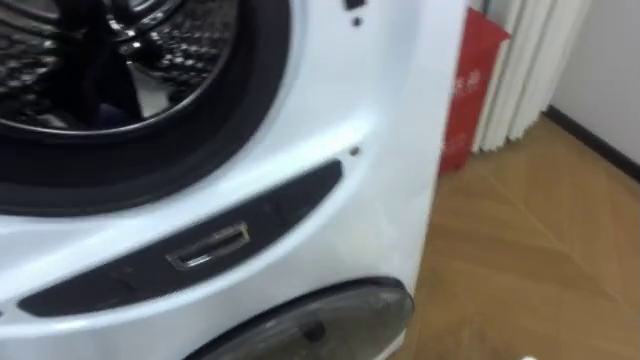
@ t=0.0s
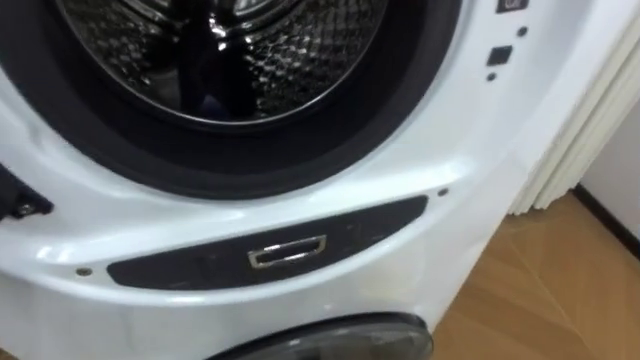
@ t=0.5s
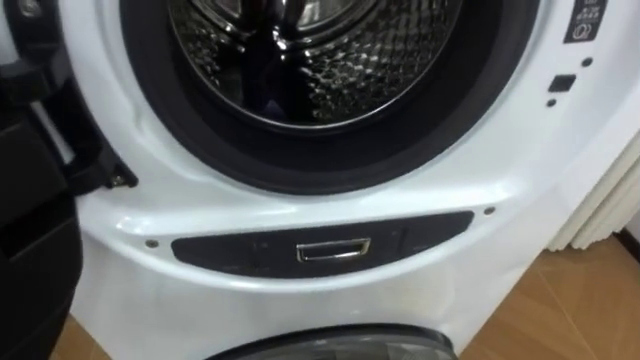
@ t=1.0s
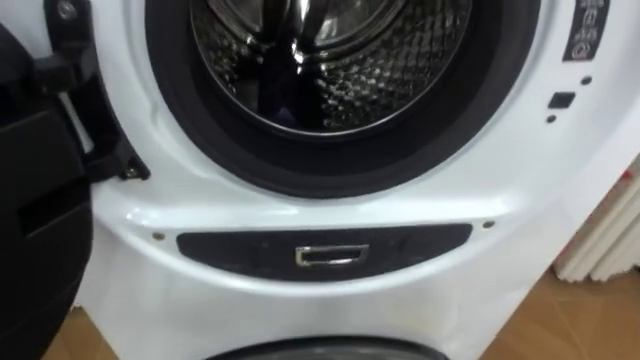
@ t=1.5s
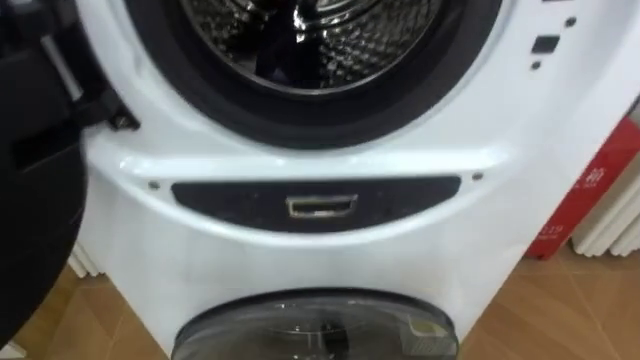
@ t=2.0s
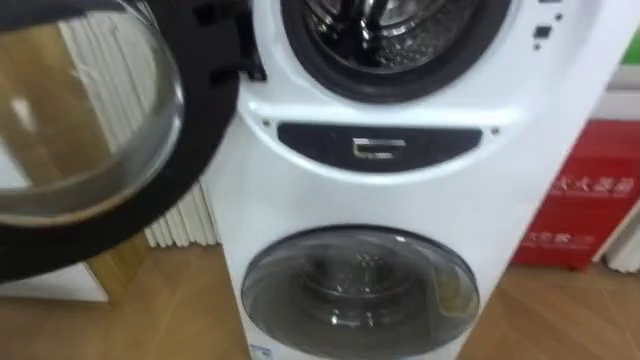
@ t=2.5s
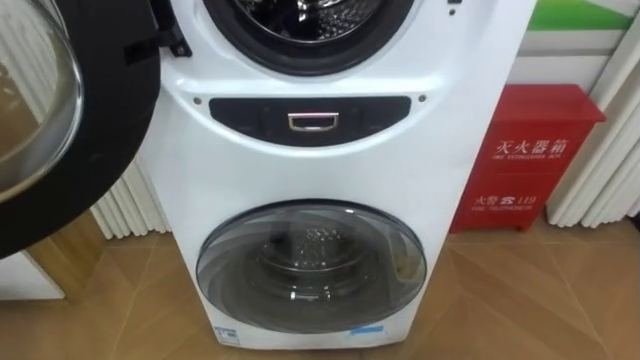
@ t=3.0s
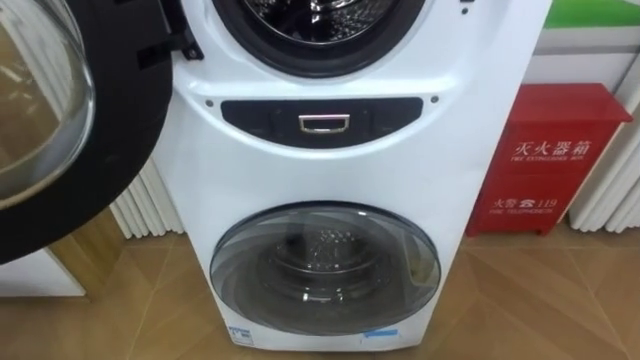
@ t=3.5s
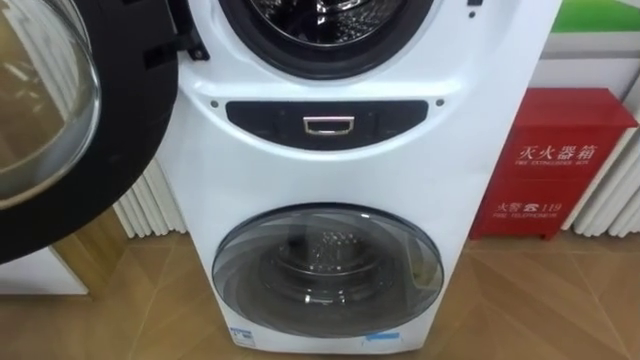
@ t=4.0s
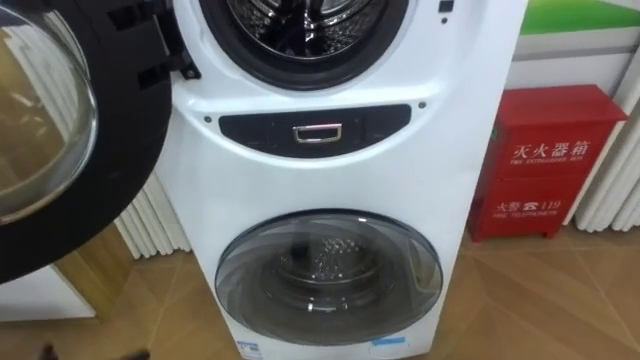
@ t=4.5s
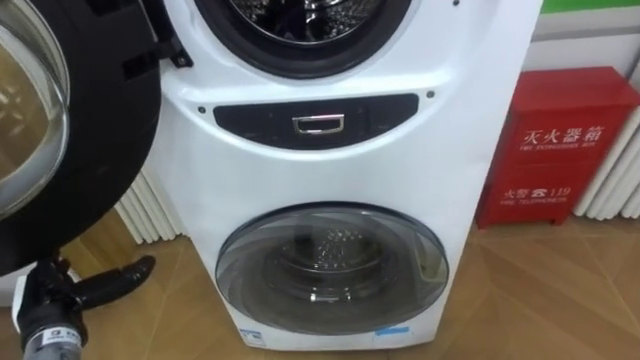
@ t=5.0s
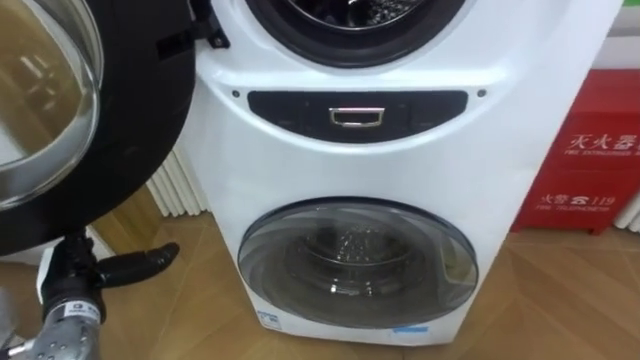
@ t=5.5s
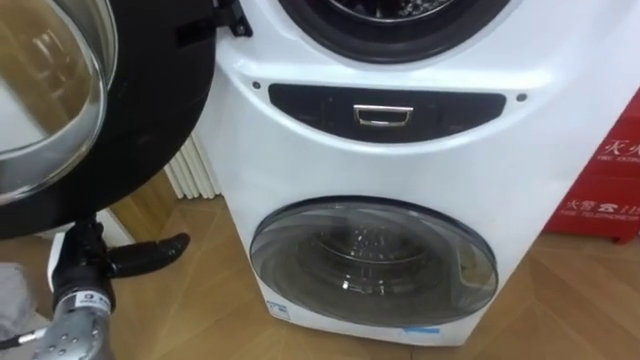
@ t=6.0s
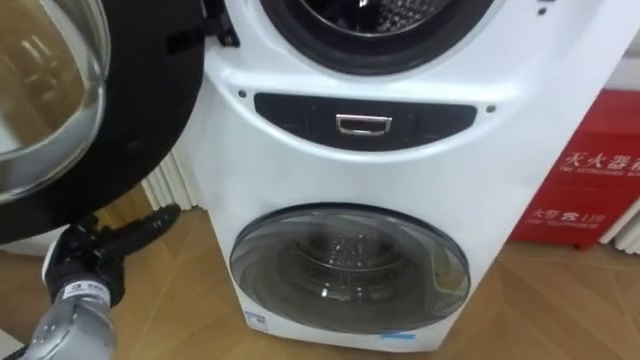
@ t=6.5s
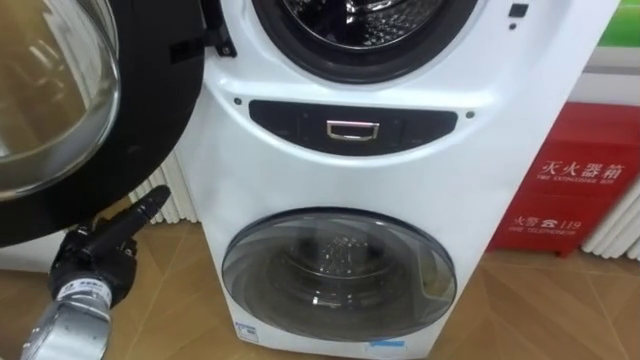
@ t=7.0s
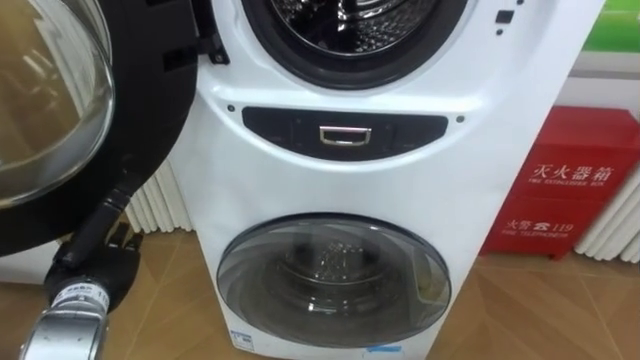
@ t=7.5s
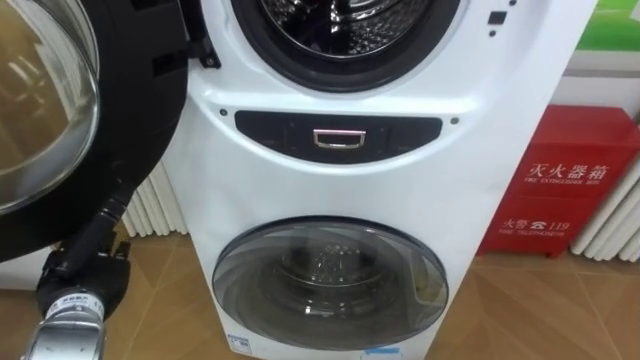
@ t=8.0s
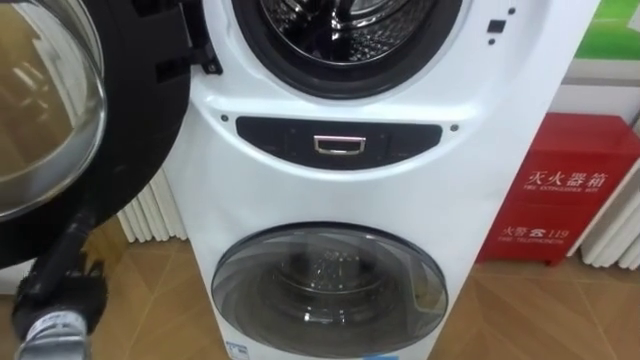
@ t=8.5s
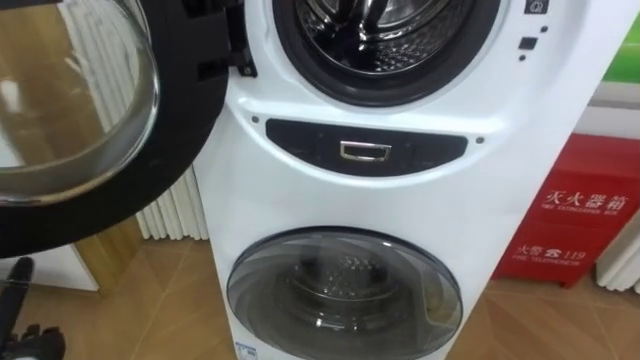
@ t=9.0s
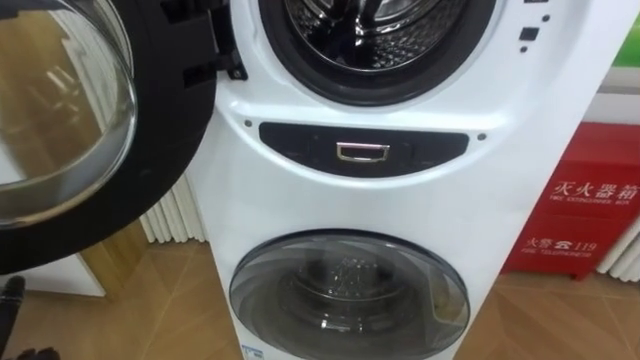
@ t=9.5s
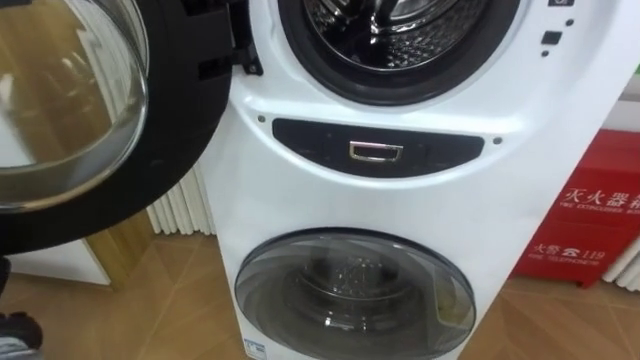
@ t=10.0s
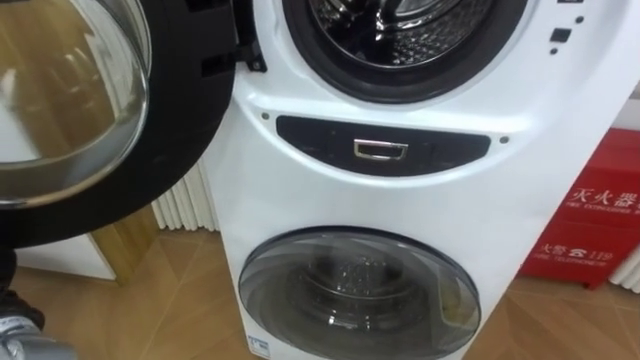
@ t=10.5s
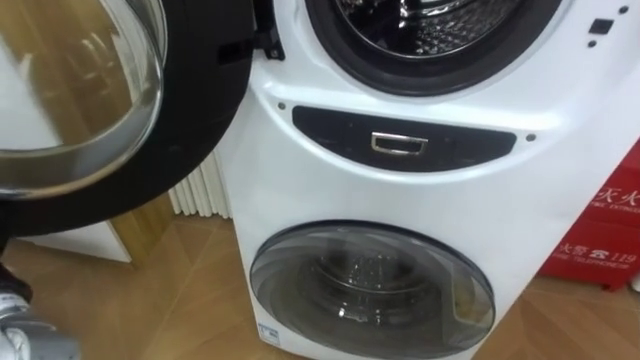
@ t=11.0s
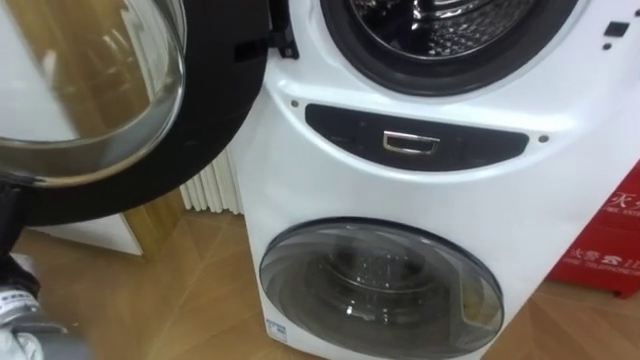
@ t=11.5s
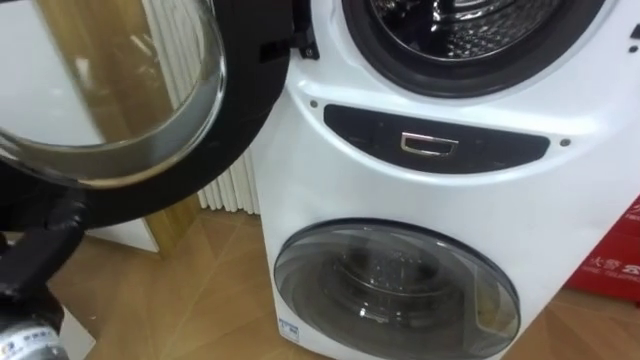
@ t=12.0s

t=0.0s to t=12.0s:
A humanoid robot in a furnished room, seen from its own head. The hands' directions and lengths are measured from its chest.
Task of the whole recording: Open the washing machine door, take out the yellow clothes, place them in the box on the right, and close the washing machine door.
t=0.0s to t=2.0s: The robot turns to its left by roughly 15 degrees.

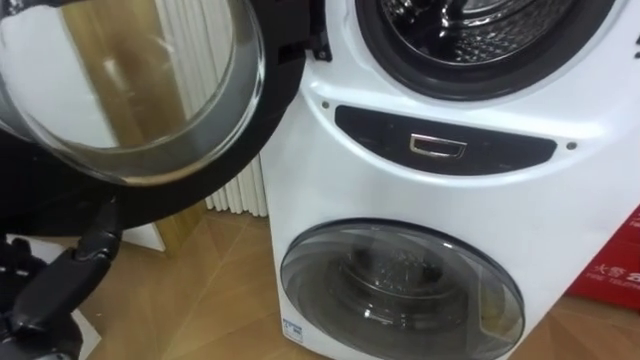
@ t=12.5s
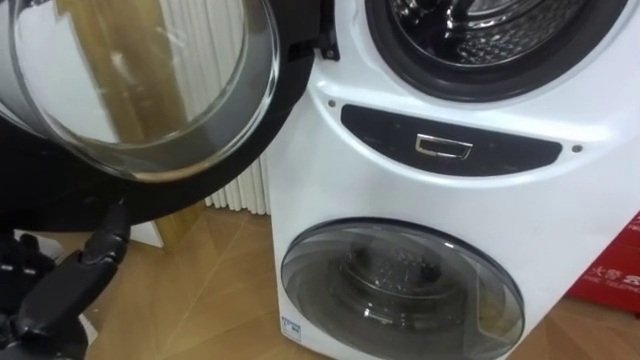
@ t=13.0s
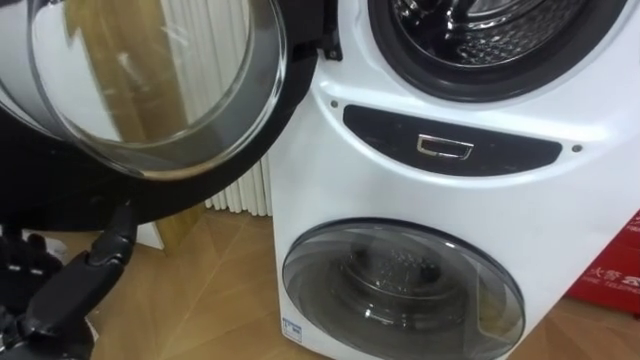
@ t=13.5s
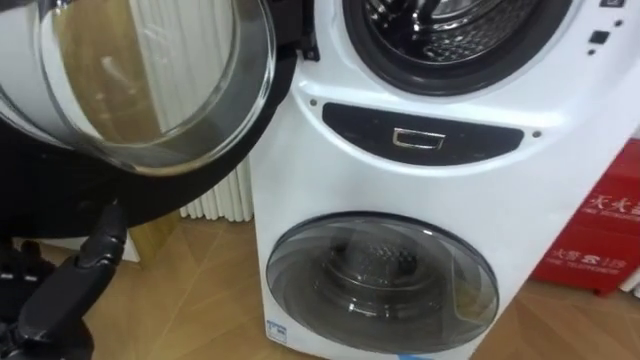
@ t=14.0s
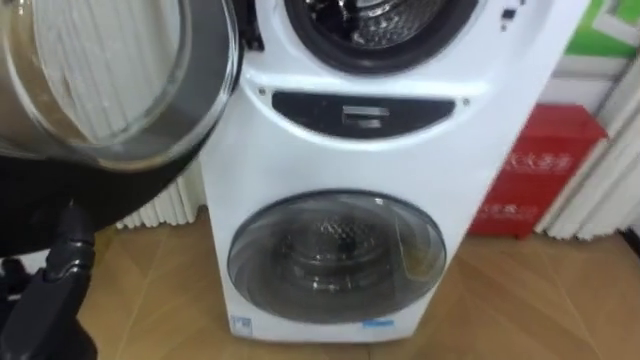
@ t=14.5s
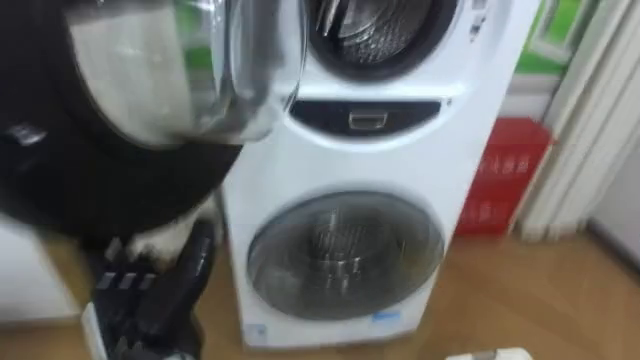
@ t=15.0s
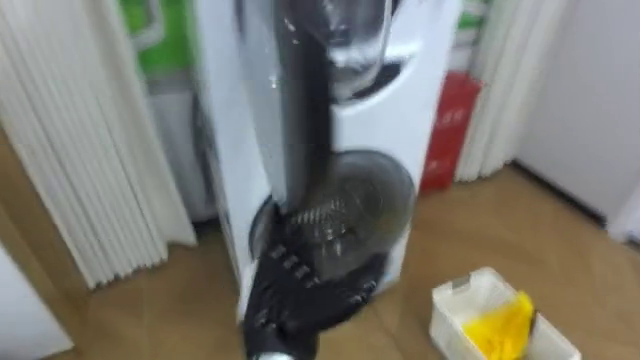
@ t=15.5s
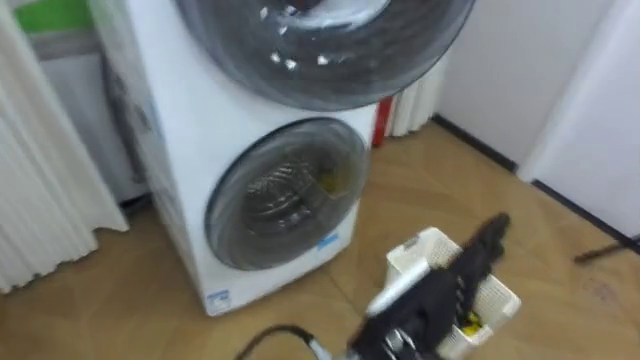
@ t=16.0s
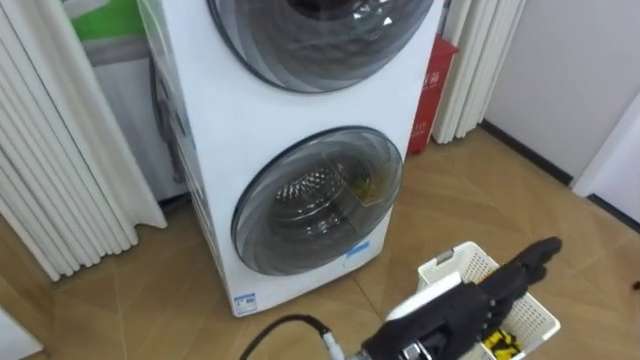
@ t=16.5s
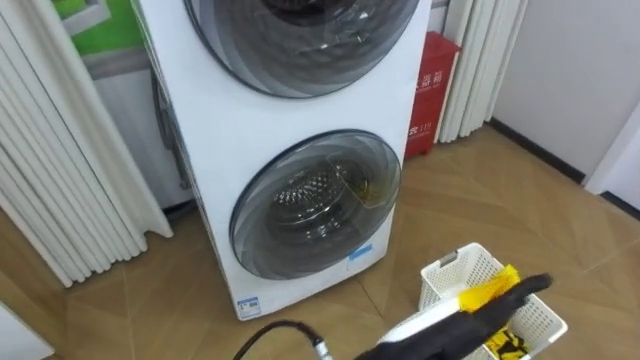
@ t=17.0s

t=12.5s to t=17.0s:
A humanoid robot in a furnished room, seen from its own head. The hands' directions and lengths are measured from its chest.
Task of the whole recording: Open the washing machine door, take out the yellow clothes, place them in the box on the right, and close the washing machine door.
t=14.5s to t=17.0s: The left hand heads to the right, covering about 35 cm.

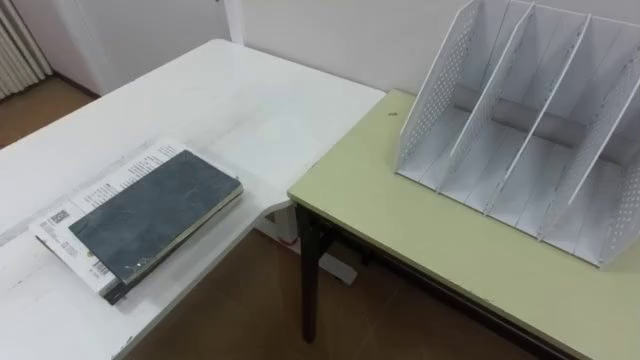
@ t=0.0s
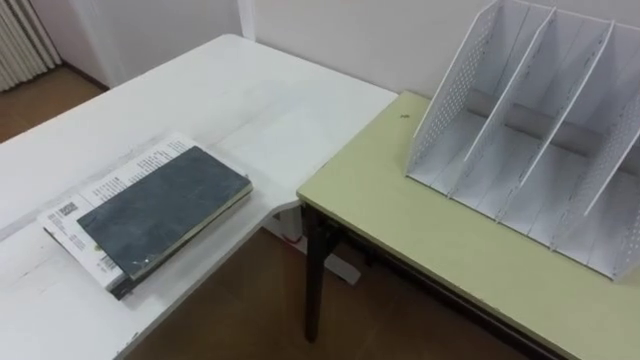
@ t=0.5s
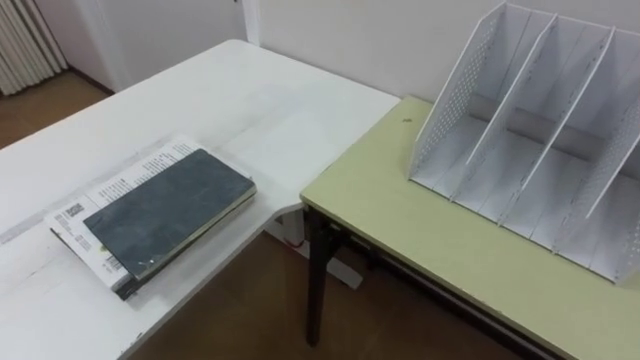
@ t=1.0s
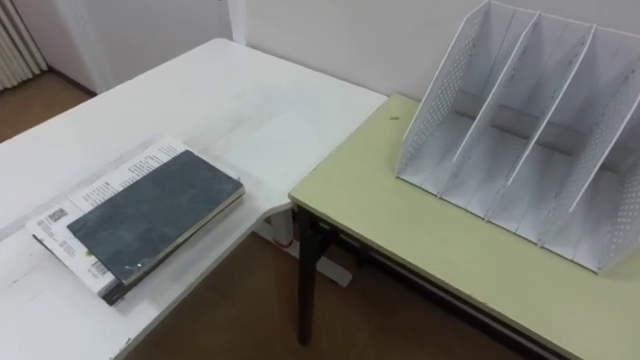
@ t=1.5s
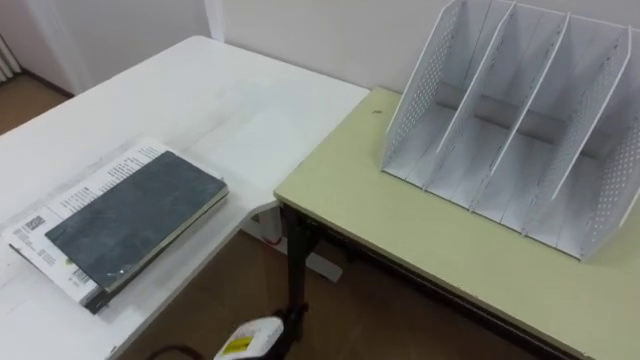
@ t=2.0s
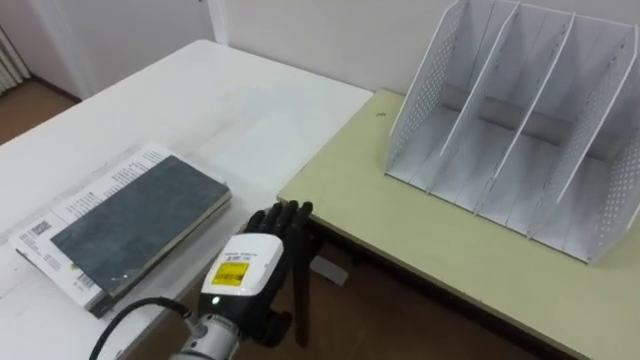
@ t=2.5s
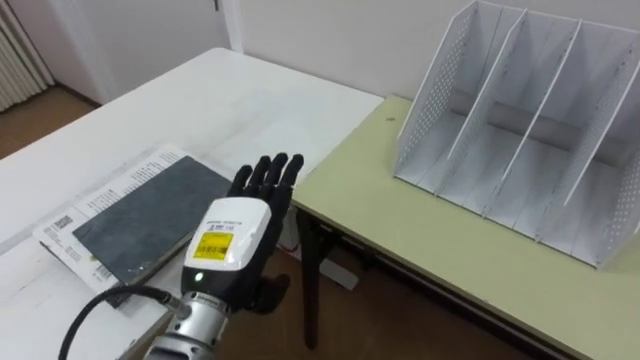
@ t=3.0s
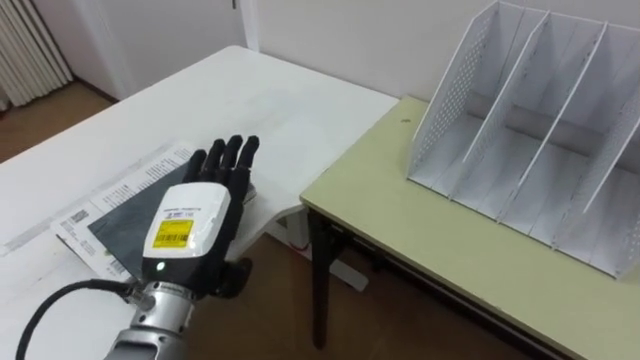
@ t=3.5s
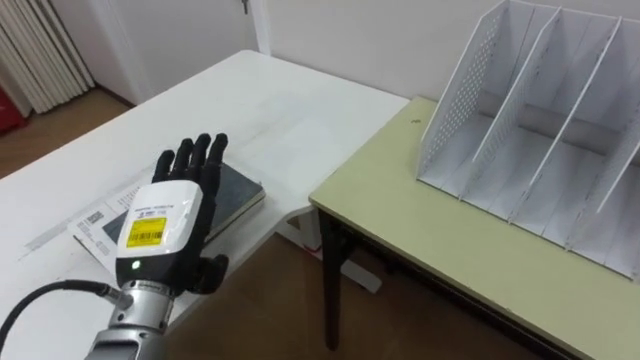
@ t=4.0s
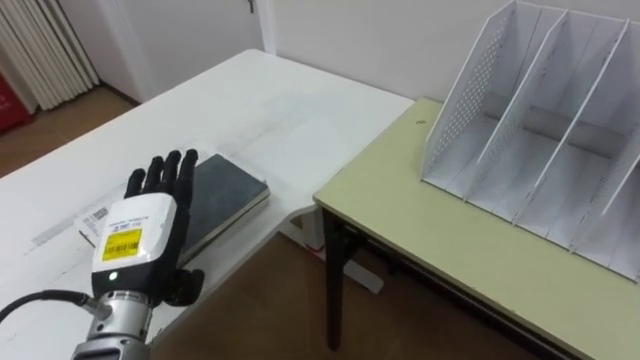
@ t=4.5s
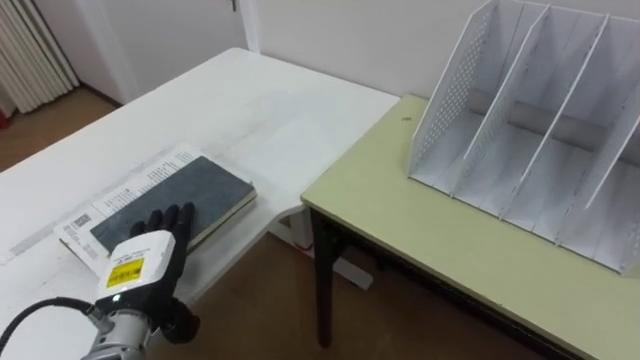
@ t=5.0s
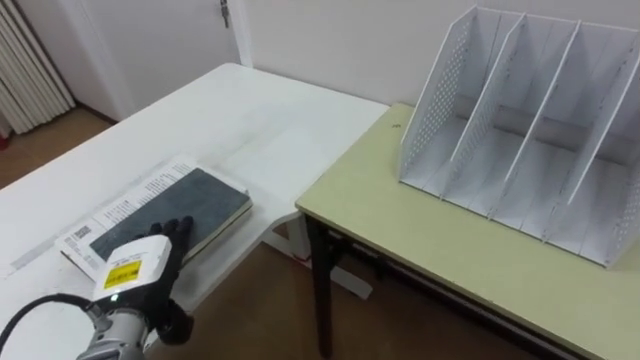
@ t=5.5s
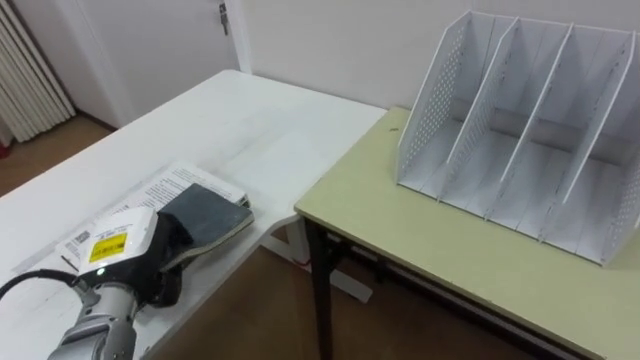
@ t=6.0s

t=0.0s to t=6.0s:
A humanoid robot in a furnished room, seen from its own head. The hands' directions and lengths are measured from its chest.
Task of the whole recording: Put the books on the table onto the bookshelf.
t=2.0s to t=4.0s: The left hand heads upward and to the left, covering some 20 cm.
t=4.0s to t=6.0s: The left hand moves downward and to the left, some 10 cm, and closes up.
